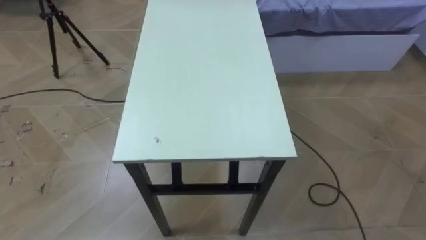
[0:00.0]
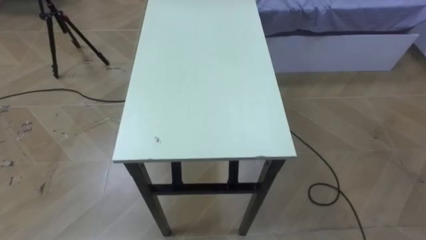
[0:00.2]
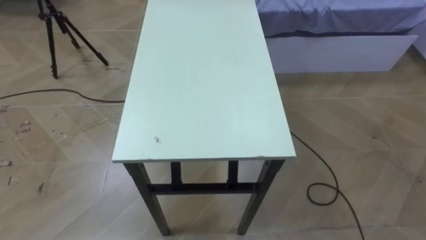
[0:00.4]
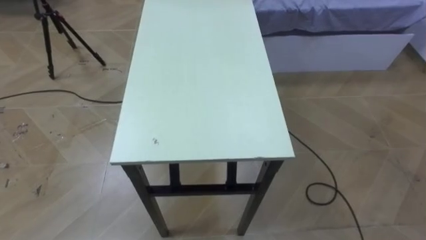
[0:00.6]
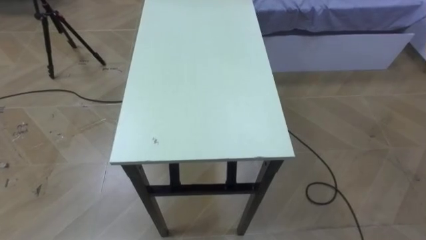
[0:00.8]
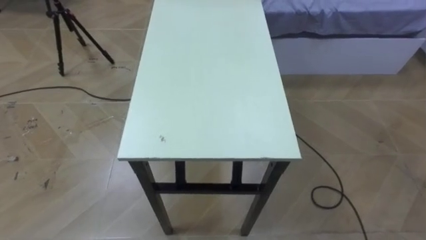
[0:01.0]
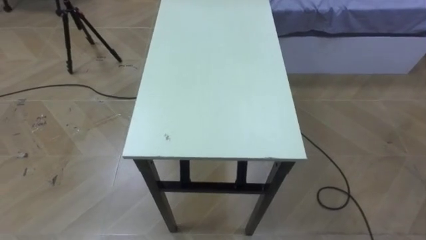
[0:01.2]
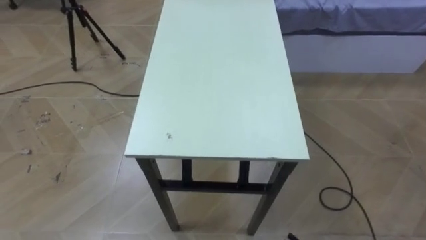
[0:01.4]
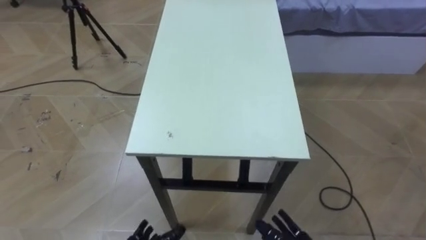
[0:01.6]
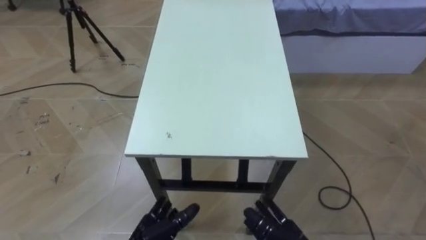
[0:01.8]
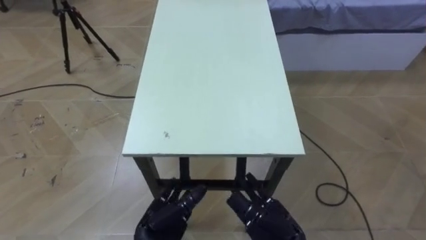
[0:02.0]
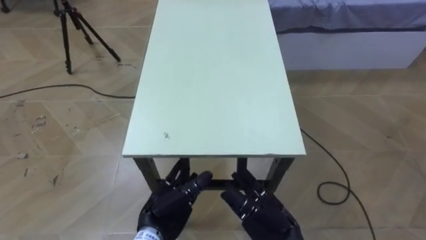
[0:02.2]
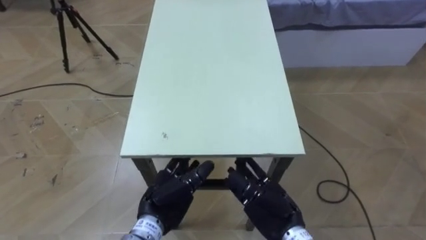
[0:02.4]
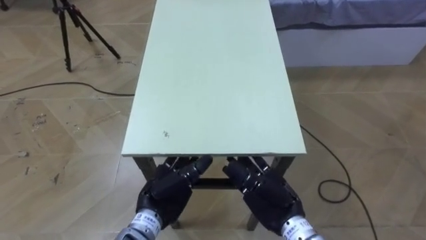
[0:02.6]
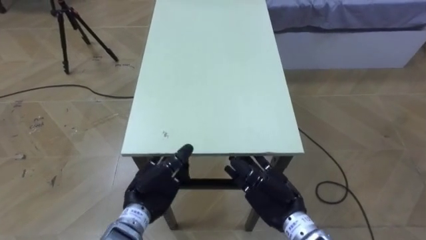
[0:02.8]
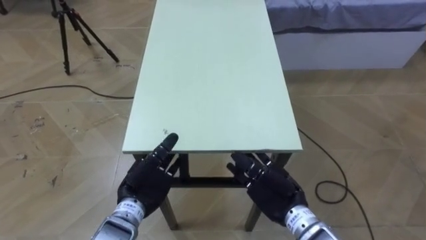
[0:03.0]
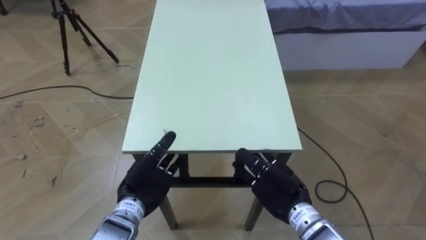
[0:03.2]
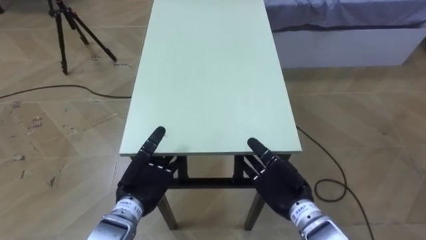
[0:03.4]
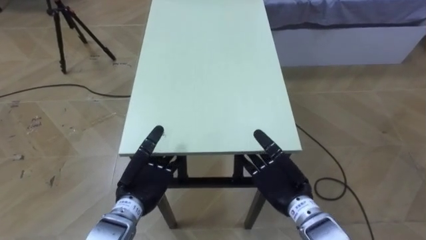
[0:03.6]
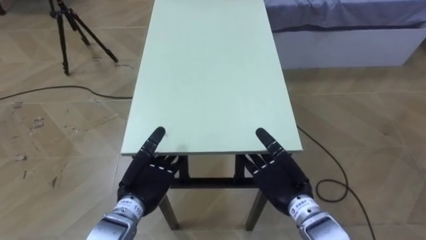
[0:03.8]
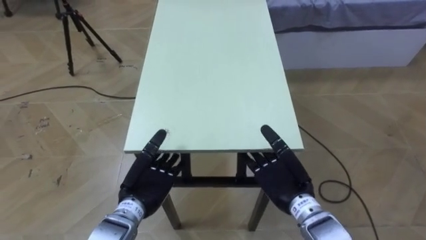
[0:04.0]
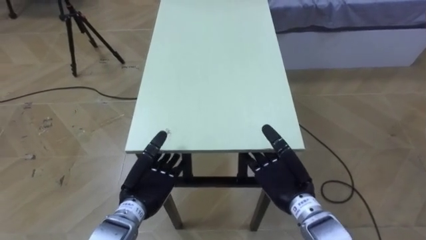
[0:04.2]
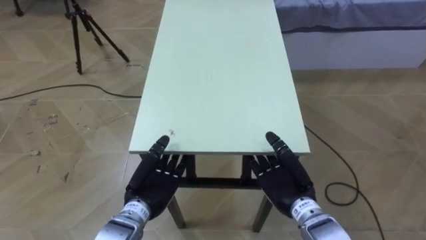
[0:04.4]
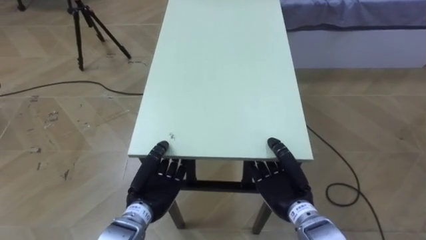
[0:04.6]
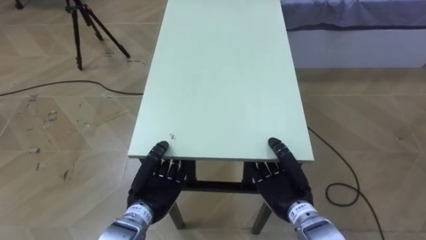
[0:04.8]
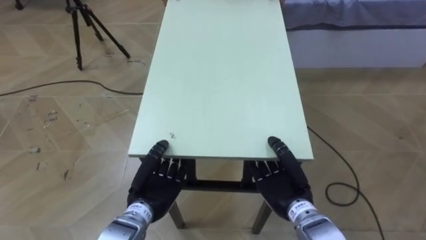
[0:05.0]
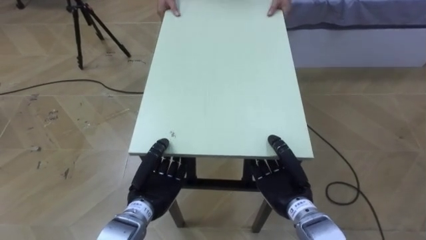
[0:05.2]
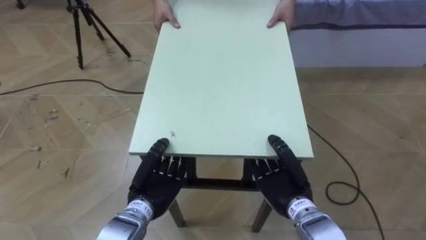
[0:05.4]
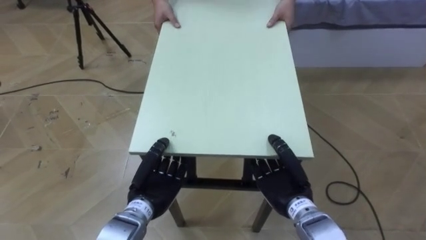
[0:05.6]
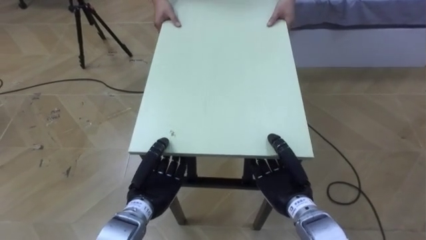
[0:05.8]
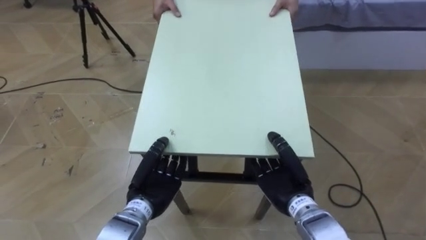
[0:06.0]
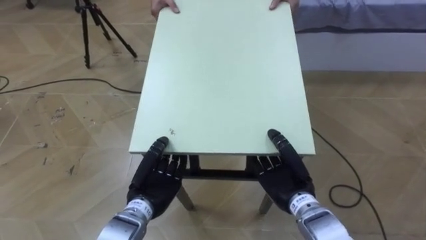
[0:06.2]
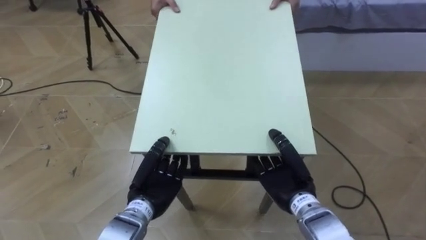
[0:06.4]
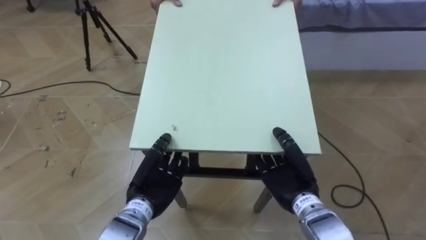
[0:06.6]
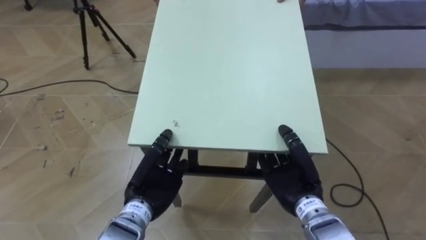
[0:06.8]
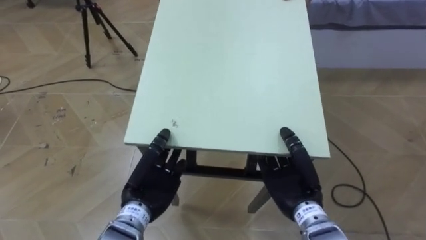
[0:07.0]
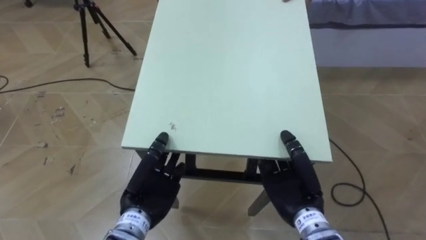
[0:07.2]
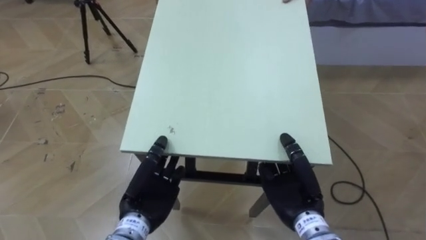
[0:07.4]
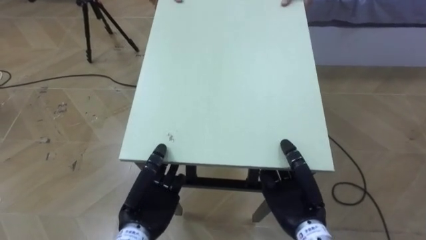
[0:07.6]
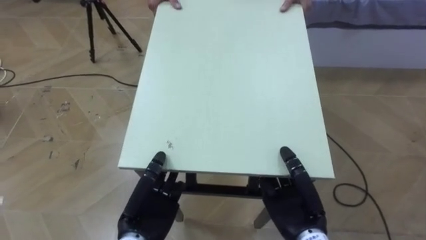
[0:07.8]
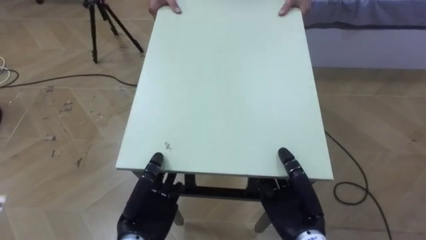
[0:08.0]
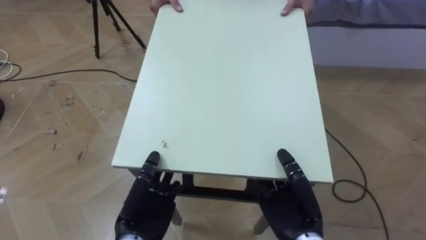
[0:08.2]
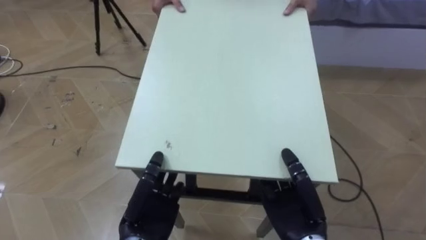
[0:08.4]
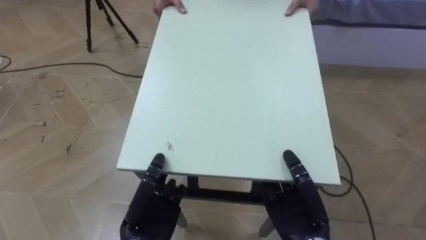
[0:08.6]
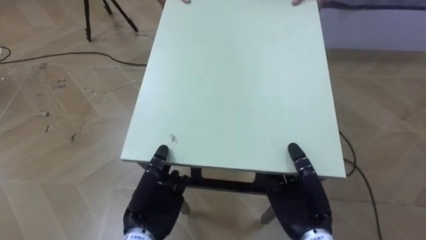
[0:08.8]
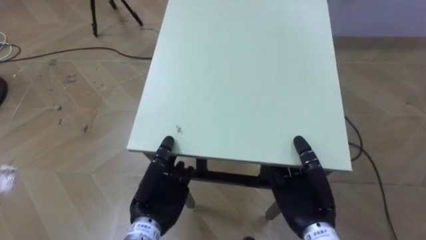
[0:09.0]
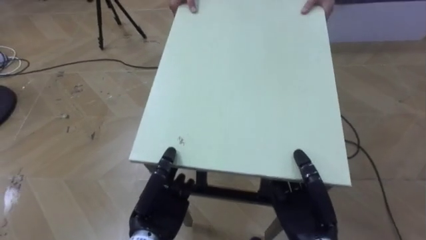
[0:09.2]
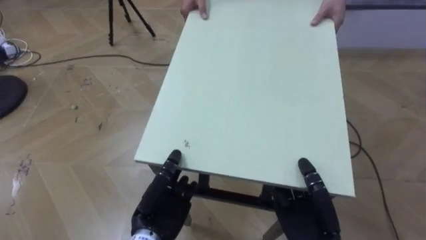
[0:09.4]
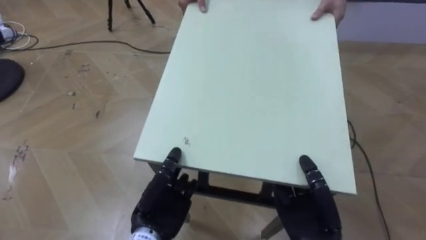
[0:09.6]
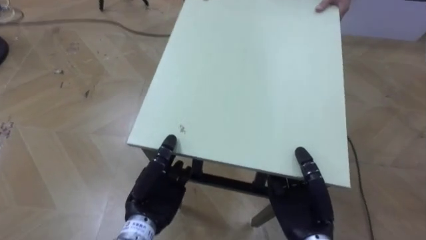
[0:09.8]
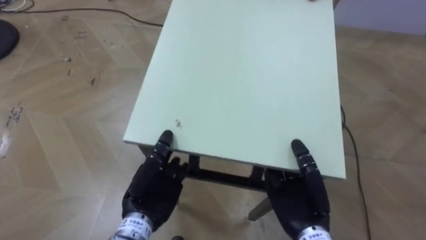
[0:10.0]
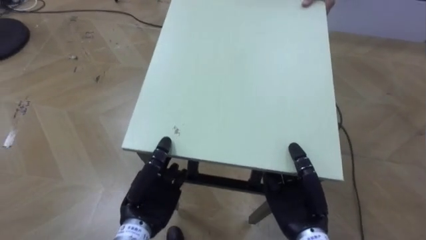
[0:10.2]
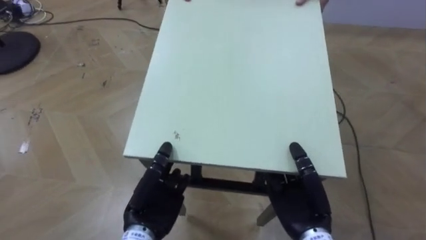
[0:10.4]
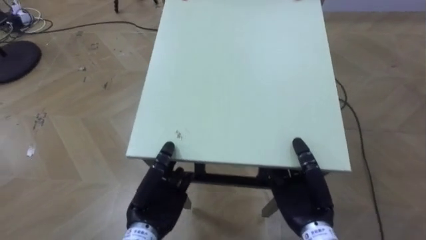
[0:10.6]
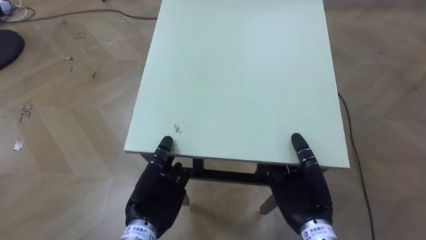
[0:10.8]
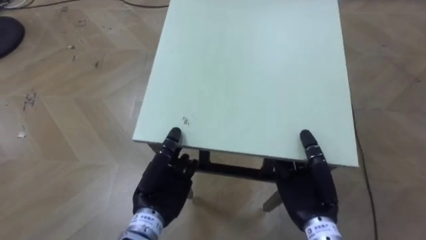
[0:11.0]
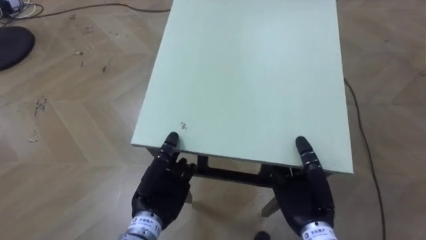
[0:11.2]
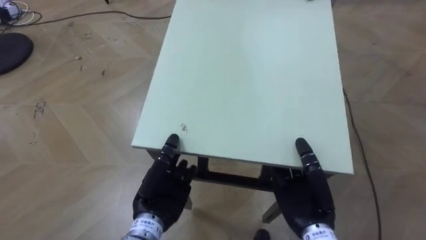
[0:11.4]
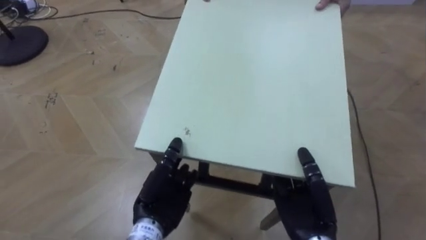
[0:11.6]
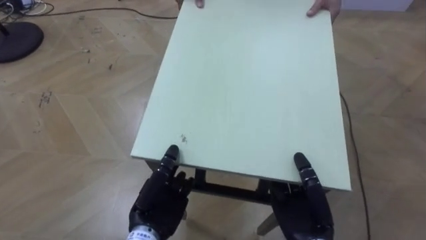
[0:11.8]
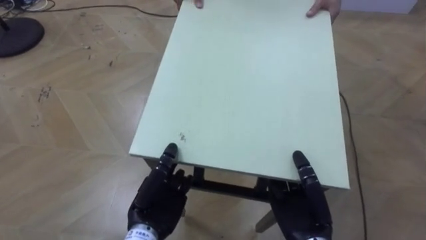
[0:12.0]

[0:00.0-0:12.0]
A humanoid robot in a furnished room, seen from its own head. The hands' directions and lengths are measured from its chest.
Task of the whole recording: Move the table to the back left with someone.
0:04.4 to 0:06.0: The hands make only small movements.
0:06.0 to 0:07.6: The right hand ends up about 5 cm from where it was; the left hand changes place by approximately 5 cm.

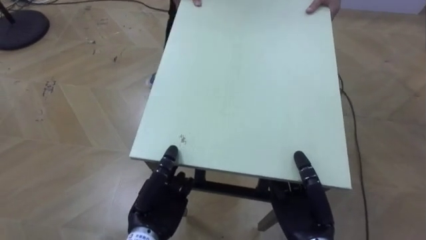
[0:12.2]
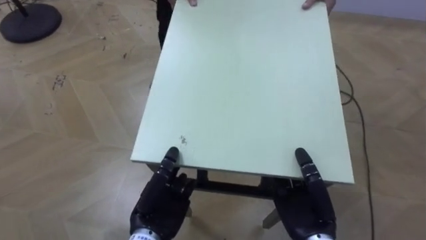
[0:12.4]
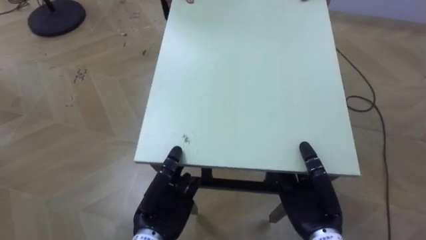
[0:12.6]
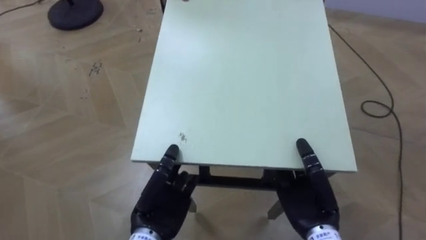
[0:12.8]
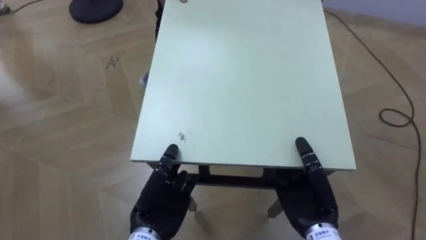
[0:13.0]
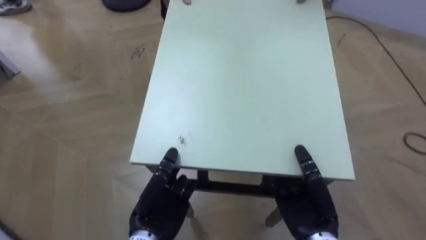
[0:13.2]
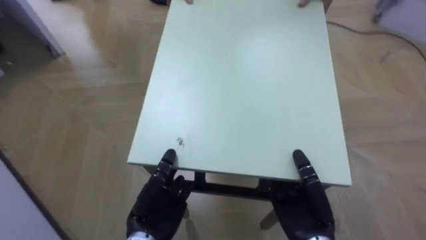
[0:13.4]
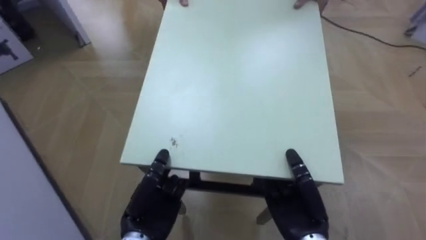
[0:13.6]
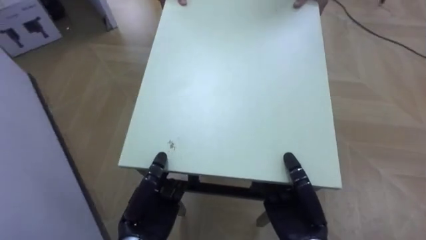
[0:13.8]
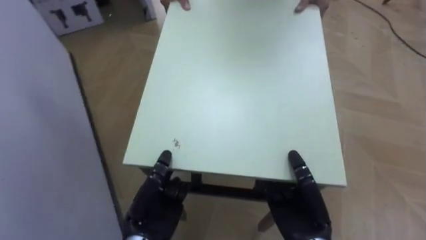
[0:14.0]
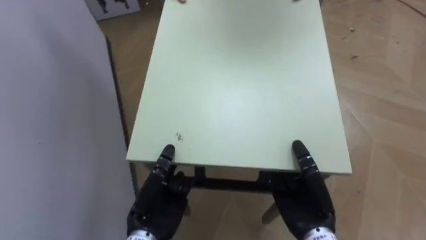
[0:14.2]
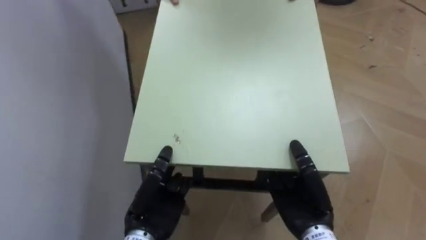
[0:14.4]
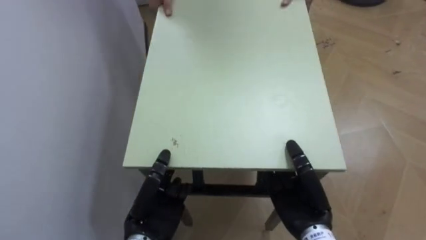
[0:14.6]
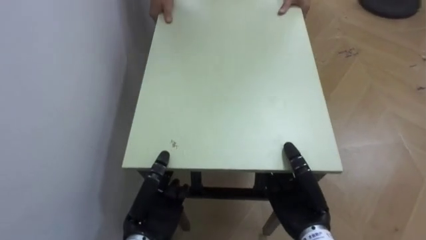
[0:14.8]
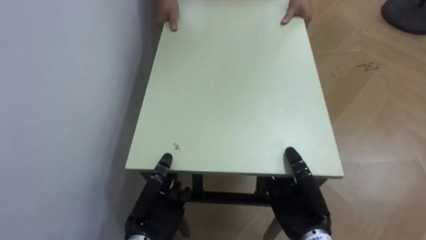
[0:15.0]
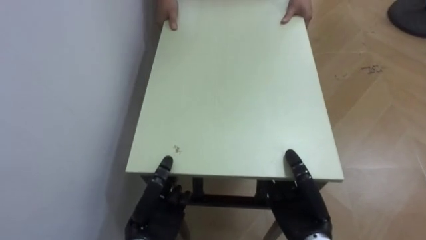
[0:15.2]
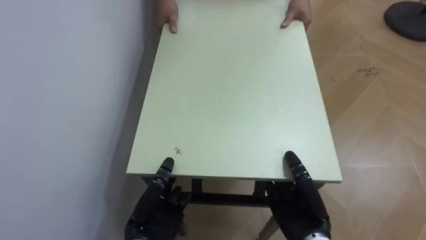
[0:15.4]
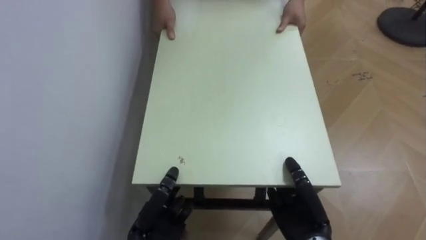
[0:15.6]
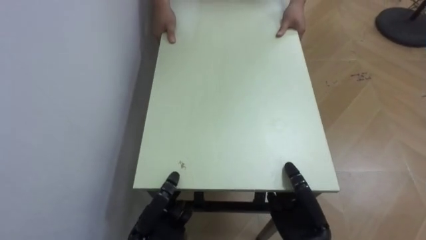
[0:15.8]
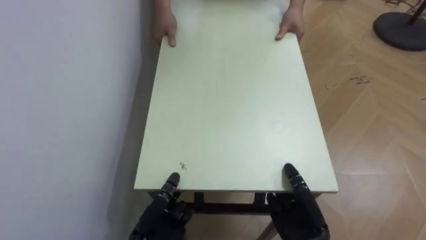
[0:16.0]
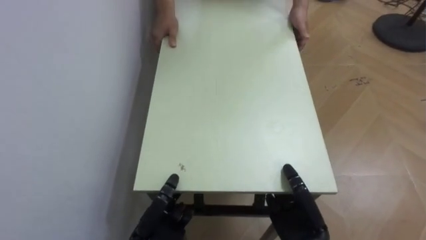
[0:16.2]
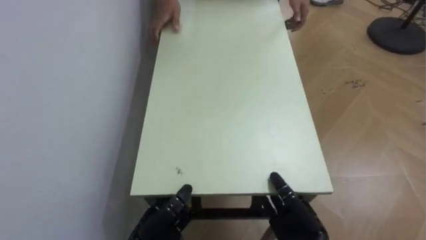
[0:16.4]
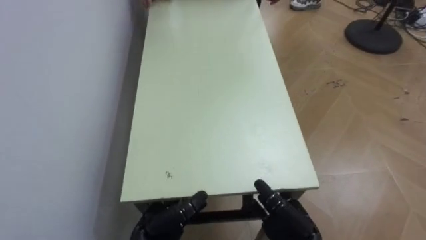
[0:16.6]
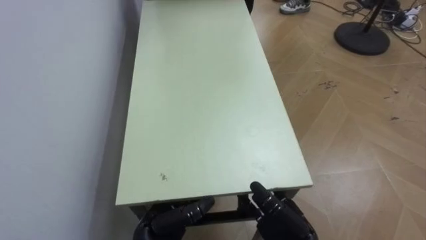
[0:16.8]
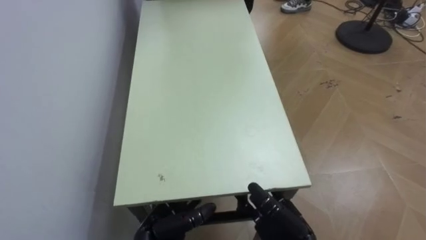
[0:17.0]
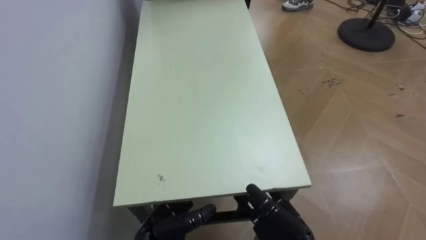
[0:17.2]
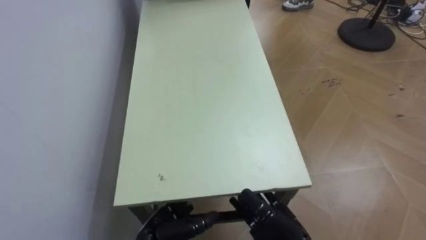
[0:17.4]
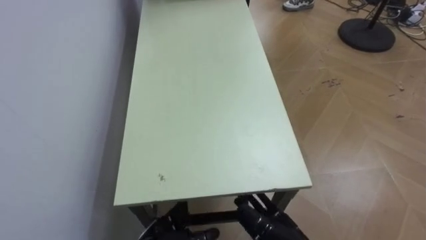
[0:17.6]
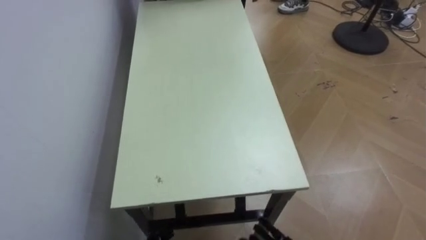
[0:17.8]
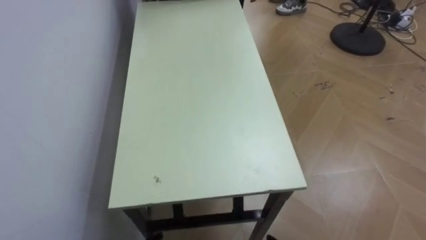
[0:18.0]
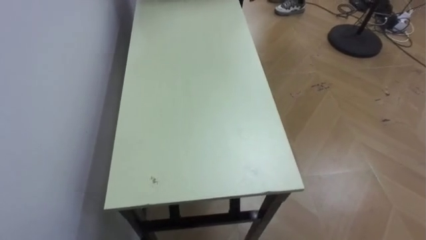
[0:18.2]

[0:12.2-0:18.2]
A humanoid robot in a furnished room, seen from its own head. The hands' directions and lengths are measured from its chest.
Task of the whole recording: Move the table to the back left with someone.
0:12.2 to 0:13.8: The robot faces about 40 degrees further to its left.
0:13.8 to 0:15.2: The robot's body swings approximately 40 degrees to its left.
0:15.2 to 0:16.6: The left hand is displaced downward by approximately 5 cm, and opens up.
